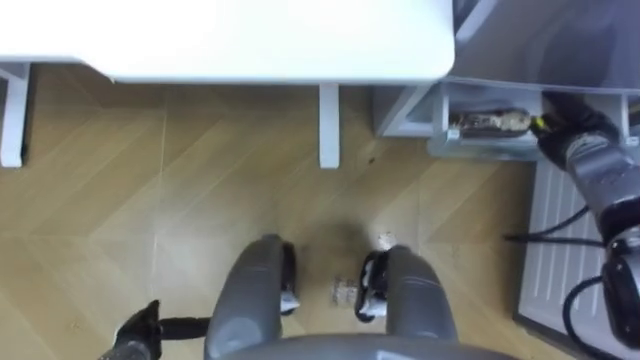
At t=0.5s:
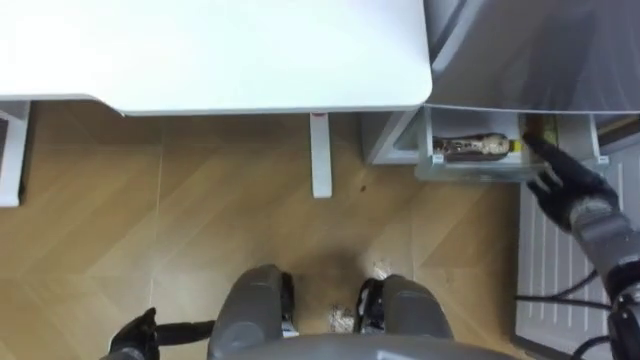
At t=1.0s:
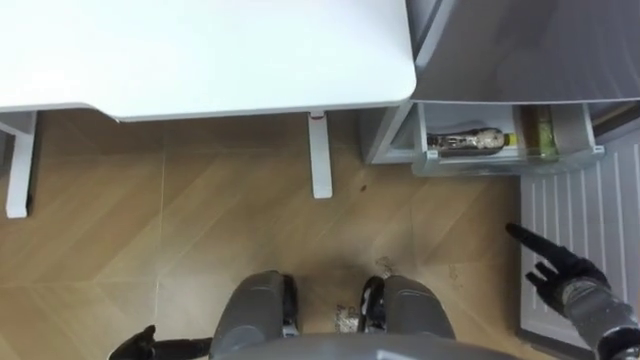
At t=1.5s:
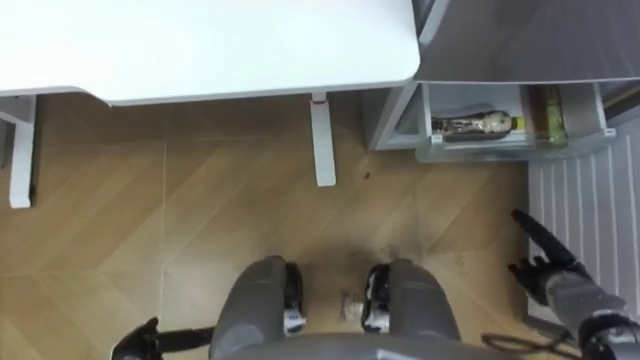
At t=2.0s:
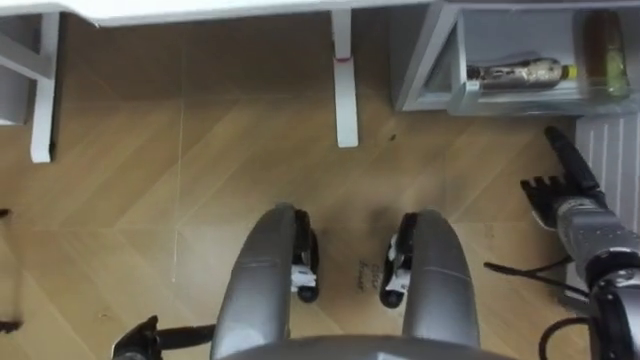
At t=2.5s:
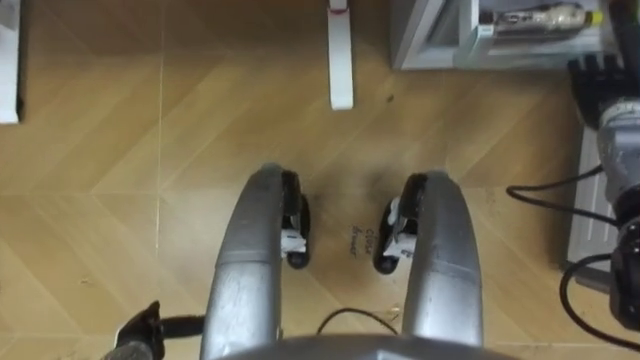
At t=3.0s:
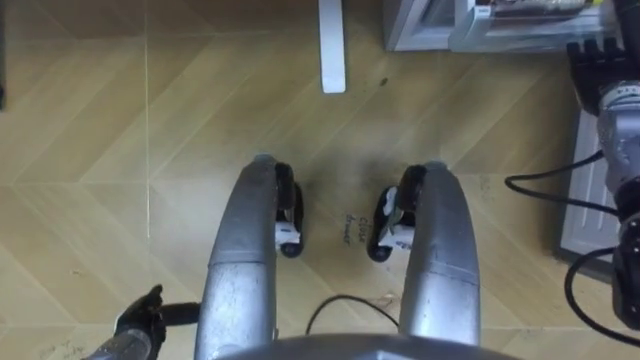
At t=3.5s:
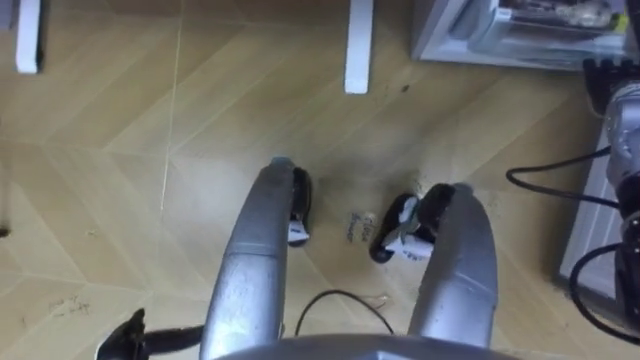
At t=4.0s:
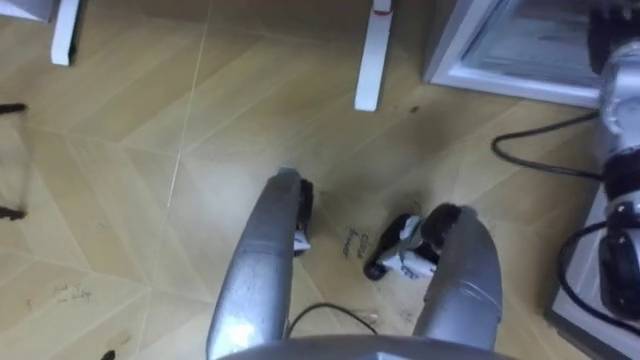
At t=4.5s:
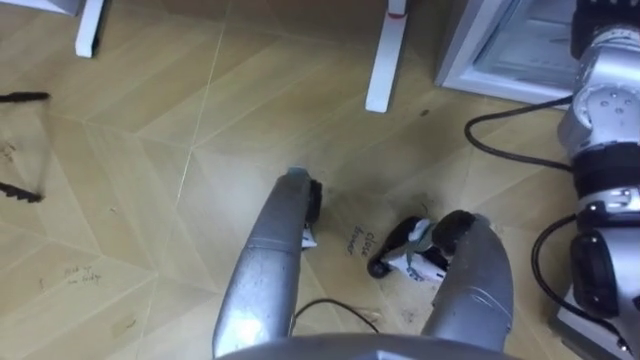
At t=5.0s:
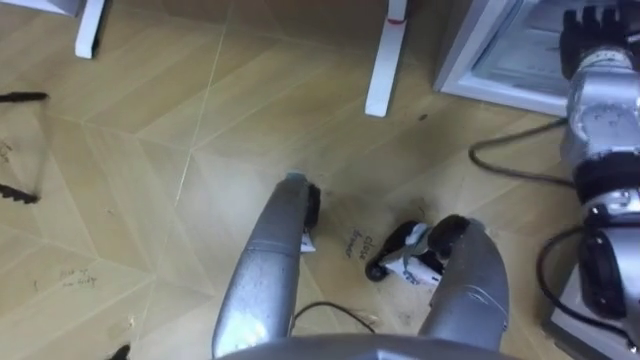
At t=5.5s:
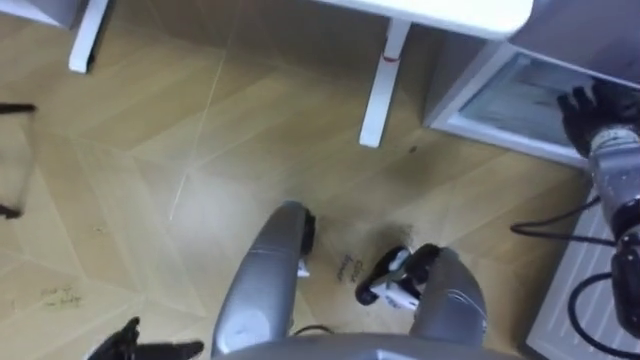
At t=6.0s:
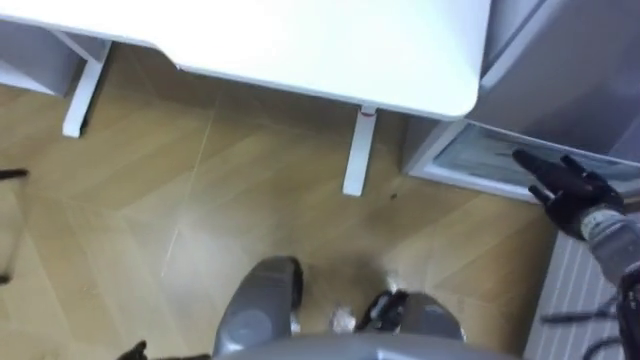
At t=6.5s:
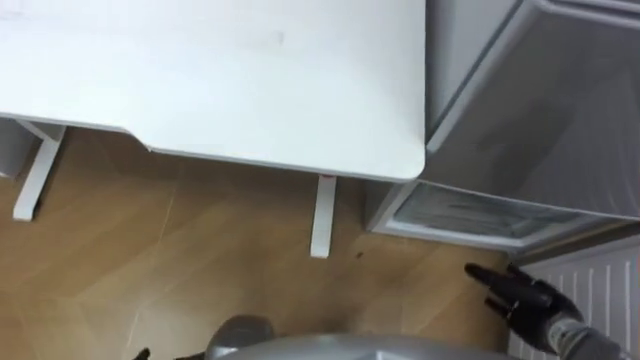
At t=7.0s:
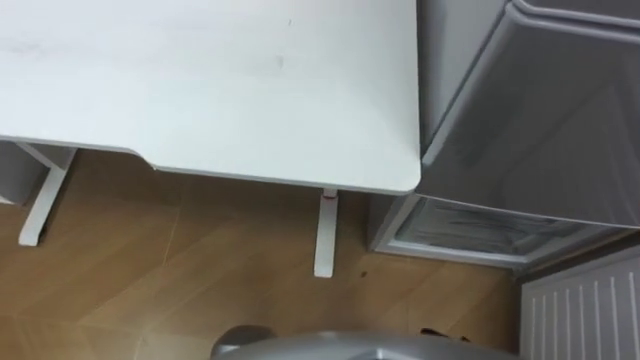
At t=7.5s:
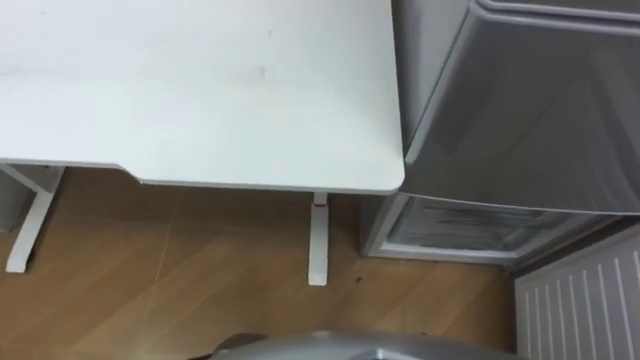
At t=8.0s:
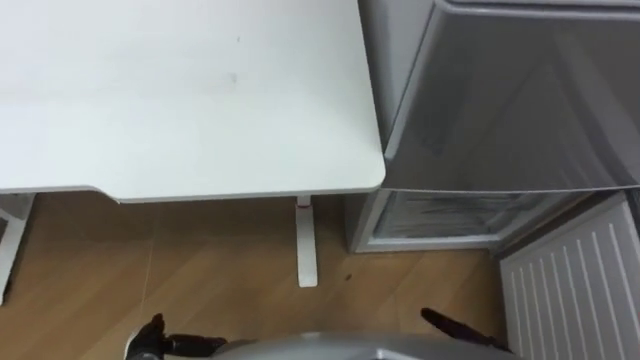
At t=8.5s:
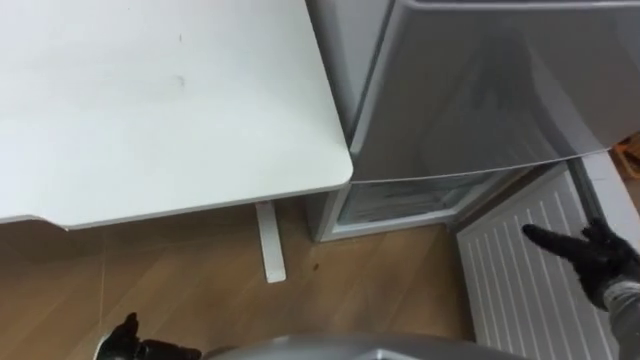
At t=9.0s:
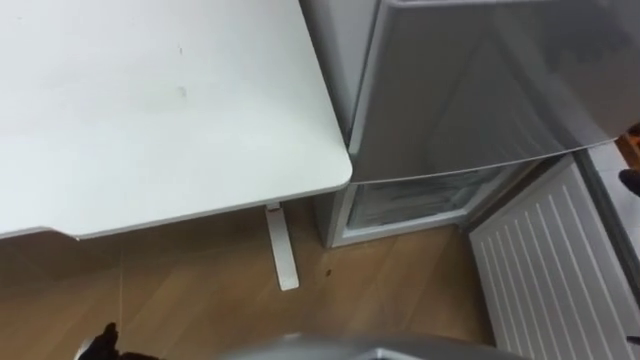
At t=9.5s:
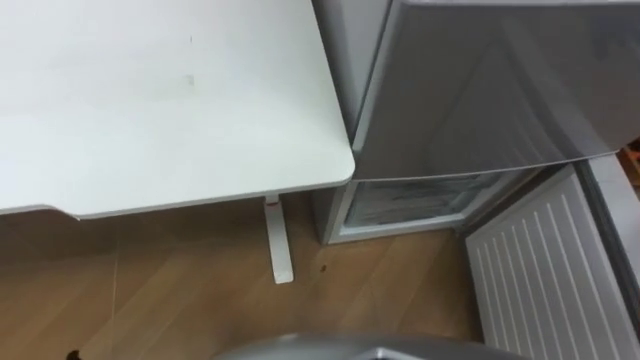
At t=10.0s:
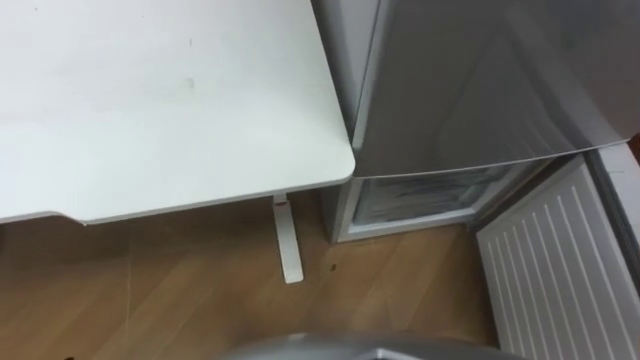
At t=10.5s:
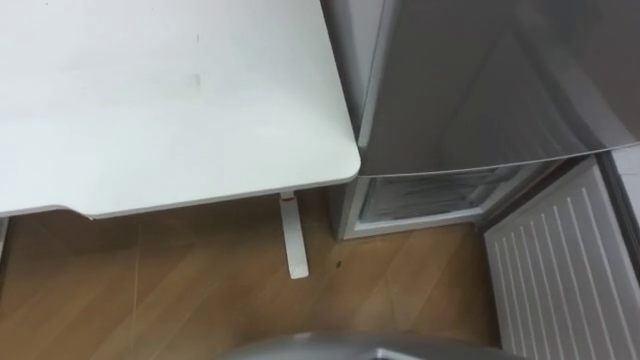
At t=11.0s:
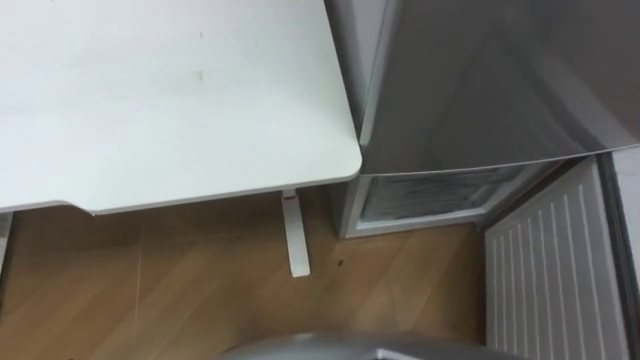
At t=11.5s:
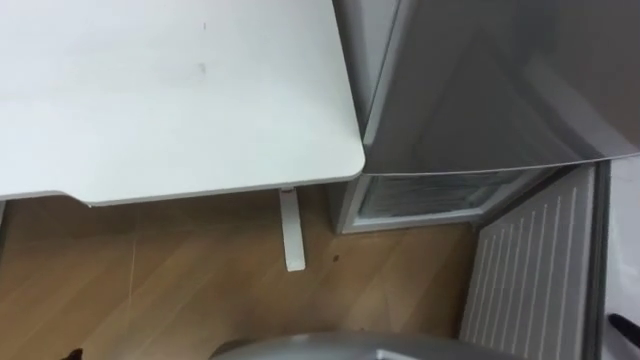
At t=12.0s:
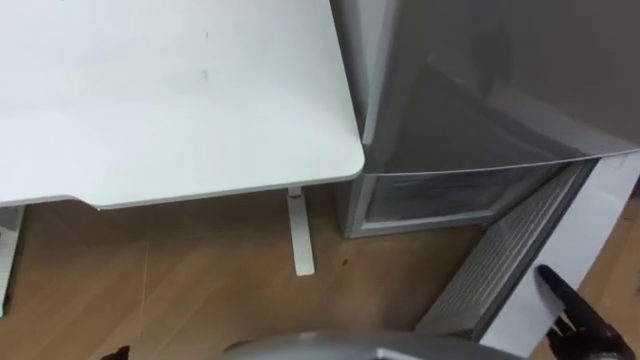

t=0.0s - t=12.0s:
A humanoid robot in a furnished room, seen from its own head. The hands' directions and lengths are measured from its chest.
Task of the whole recording: Place the drink on the table on the bottom shelf of the refrigerator, then close the drawer and the refrigerator door.
t=0.0s - t=2.0s: The right hand shifts approximately 10 cm backward and downward.
t=2.0s - t=4.0s: The right hand goes about 25 cm upward and forward.
t=4.0s - t=6.0s: The right hand is displaced downward and backward by about 20 cm.

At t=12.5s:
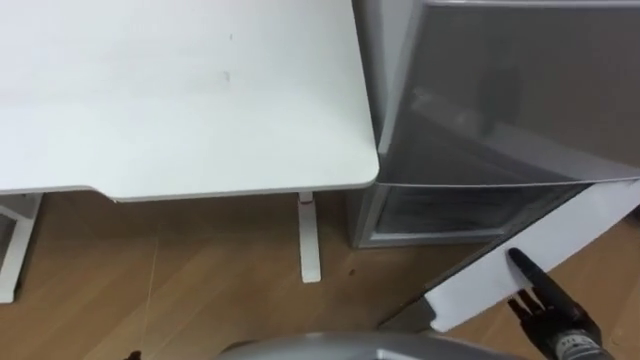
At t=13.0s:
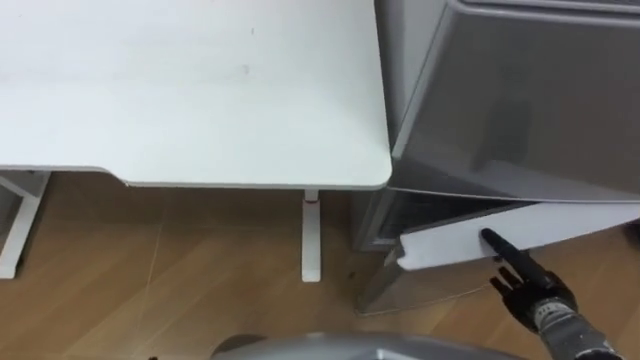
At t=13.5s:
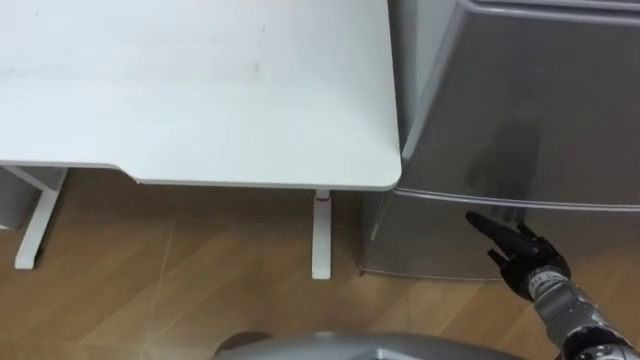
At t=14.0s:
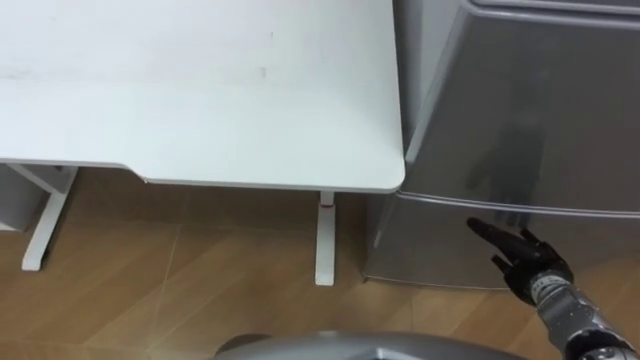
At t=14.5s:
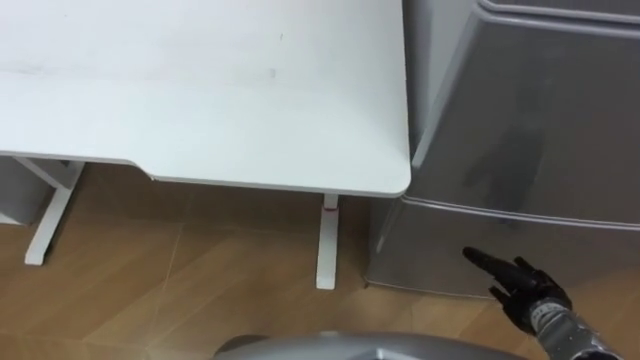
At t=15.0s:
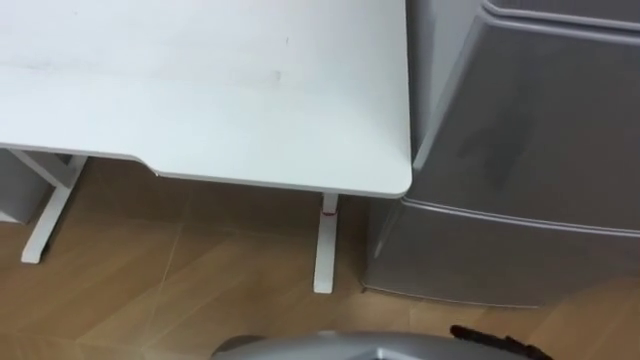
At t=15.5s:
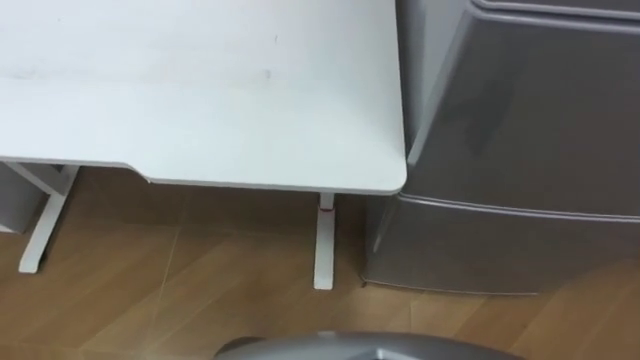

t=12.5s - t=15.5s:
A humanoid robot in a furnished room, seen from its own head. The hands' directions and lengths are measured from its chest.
Task of the whole recording: Place the drink on the table on the bottom shelf of the refrigerator, then close the drawer and the refrigerator door.
t=12.5s - t=14.0s: The right hand shifts roughly 10 cm forward.

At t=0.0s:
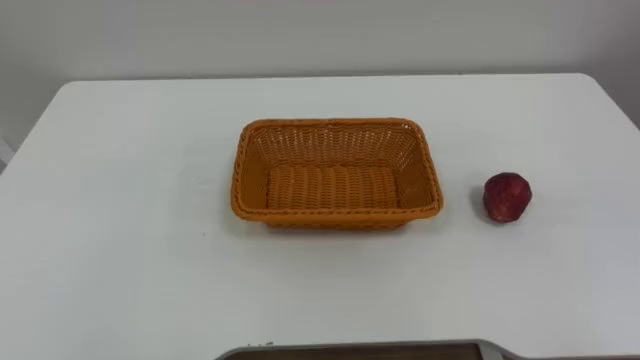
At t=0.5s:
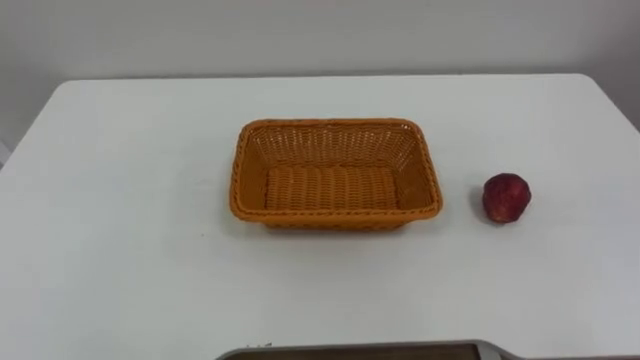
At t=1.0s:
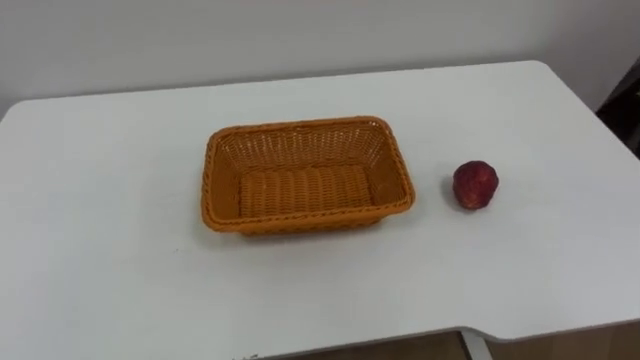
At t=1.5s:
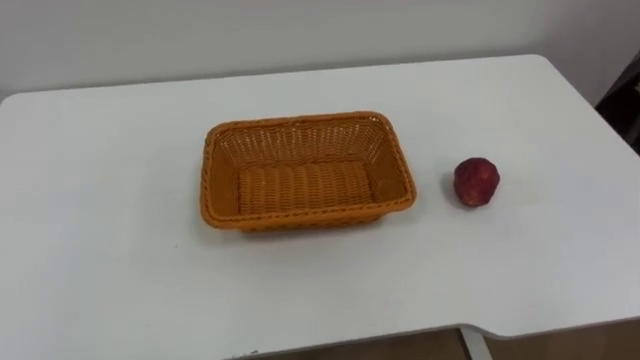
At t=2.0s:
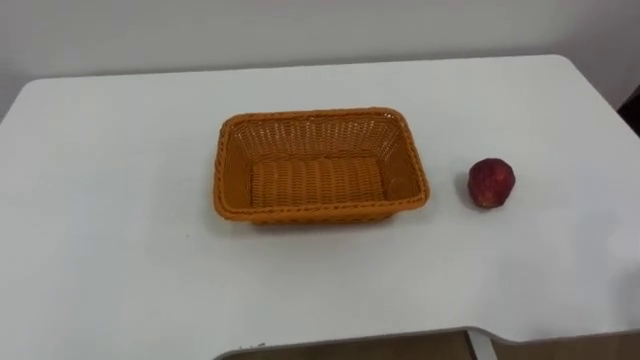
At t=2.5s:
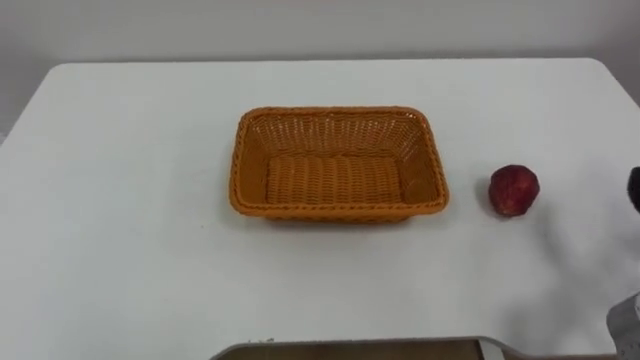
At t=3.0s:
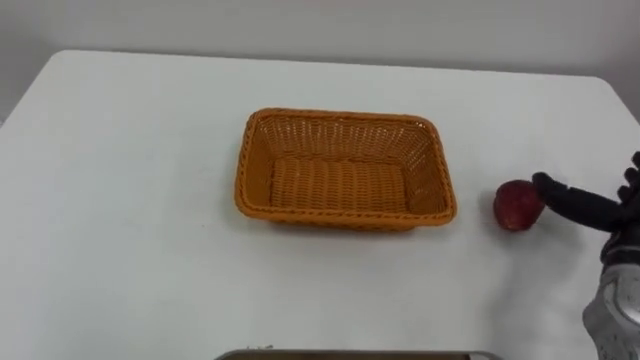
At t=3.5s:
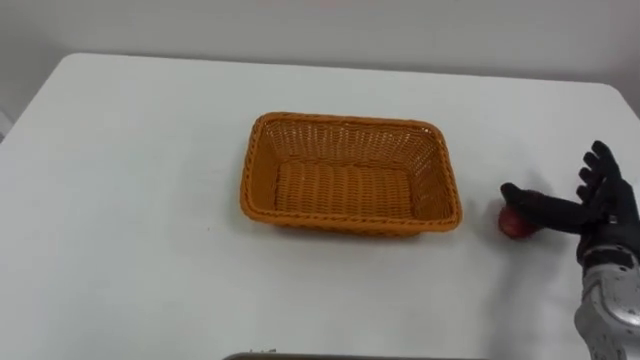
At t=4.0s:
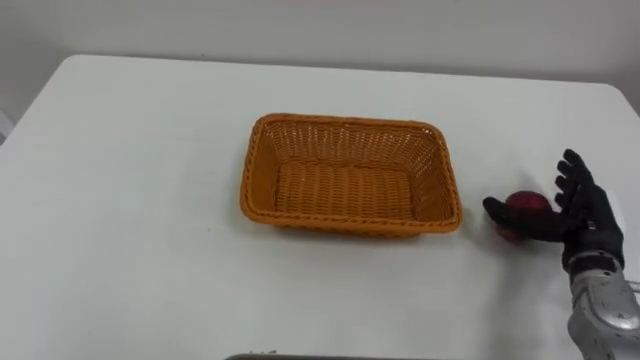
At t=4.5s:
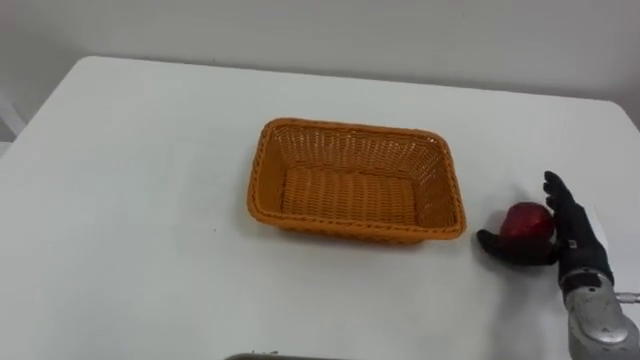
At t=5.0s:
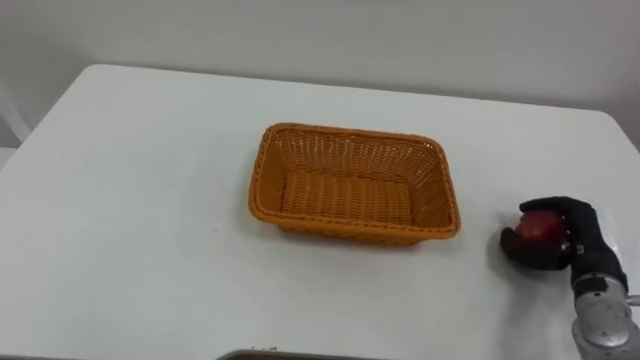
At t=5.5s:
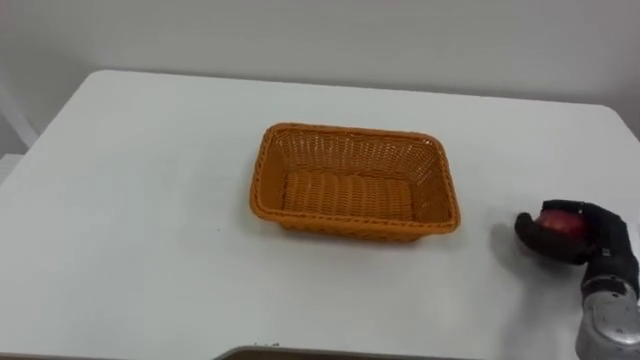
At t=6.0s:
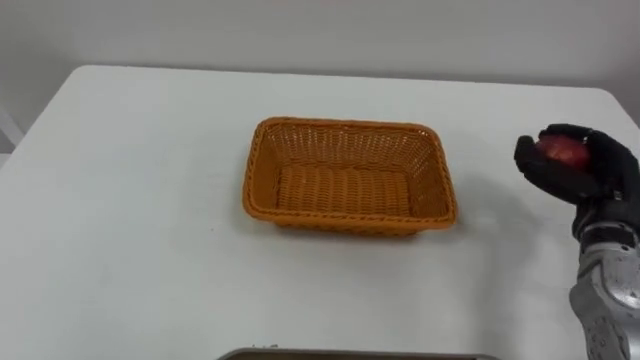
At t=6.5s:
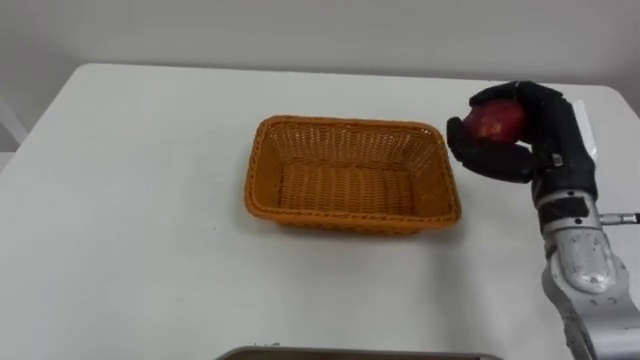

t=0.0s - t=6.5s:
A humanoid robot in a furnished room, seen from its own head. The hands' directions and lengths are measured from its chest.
Task of the whole recording: Pick the apple and place it in the box.
t=4.5s - t=6.5s: The right hand goes about 15 cm upward and to the left, and closes its fingers.
